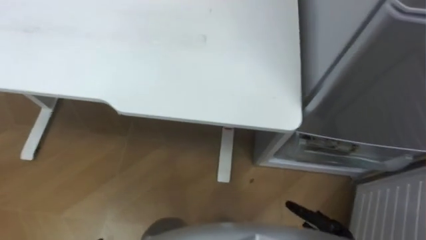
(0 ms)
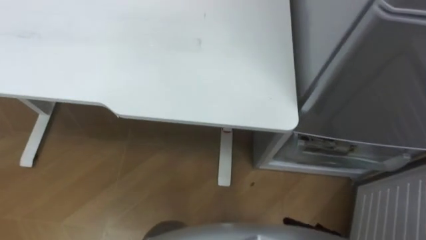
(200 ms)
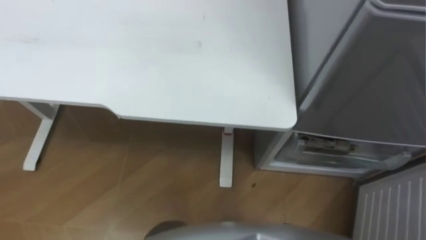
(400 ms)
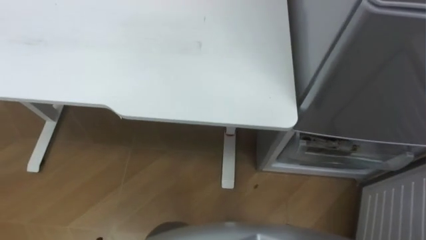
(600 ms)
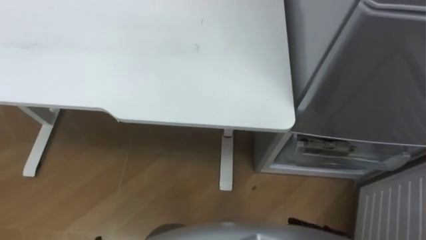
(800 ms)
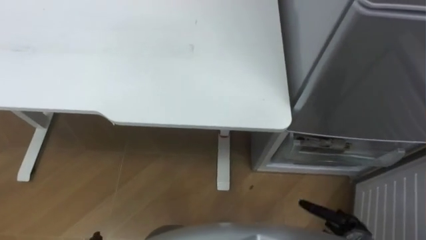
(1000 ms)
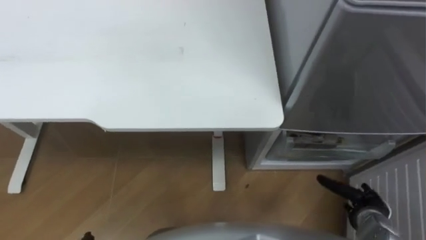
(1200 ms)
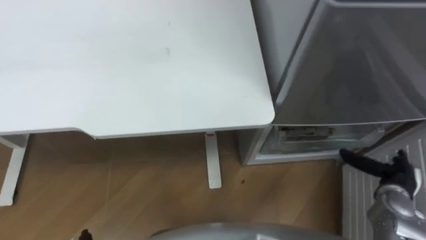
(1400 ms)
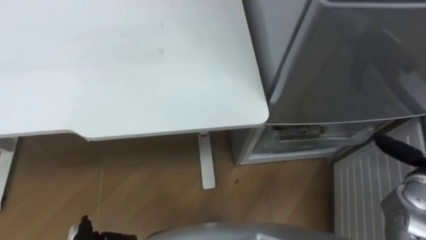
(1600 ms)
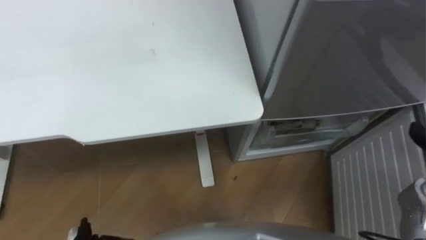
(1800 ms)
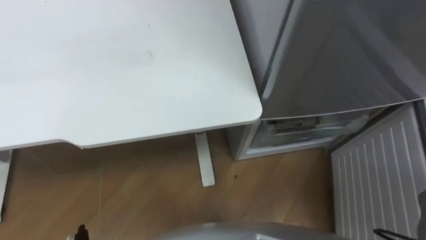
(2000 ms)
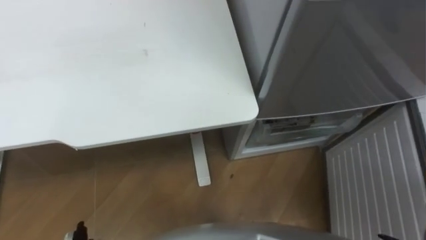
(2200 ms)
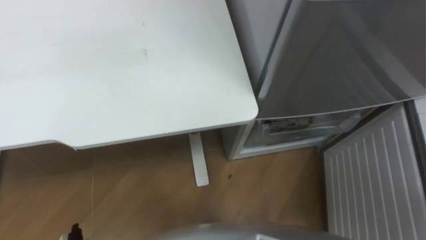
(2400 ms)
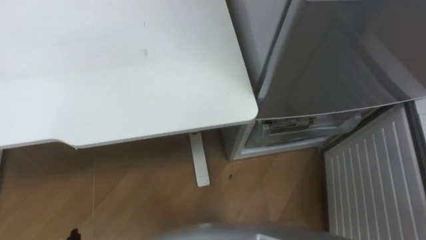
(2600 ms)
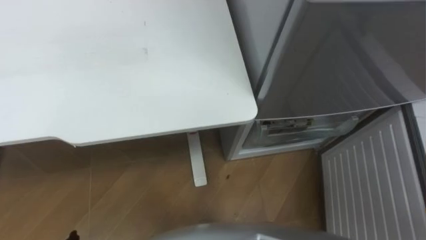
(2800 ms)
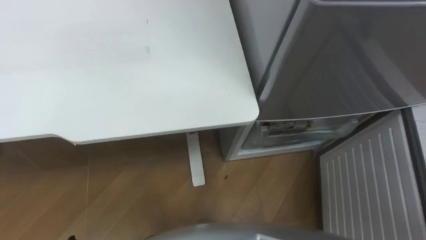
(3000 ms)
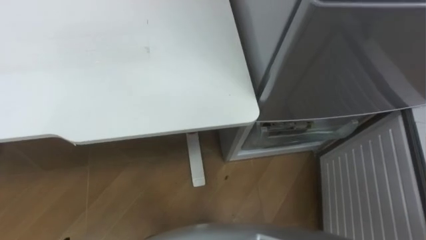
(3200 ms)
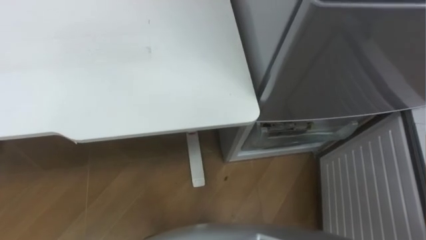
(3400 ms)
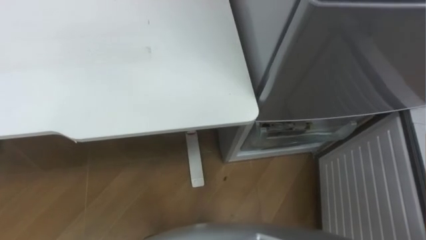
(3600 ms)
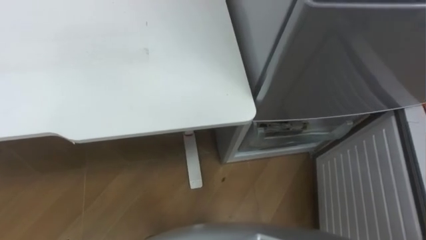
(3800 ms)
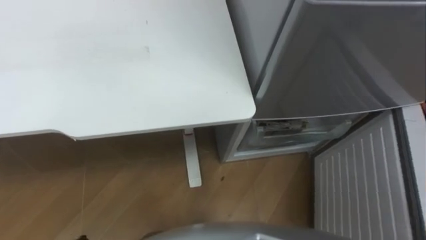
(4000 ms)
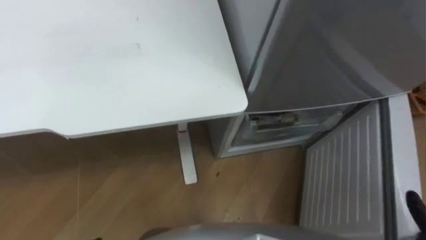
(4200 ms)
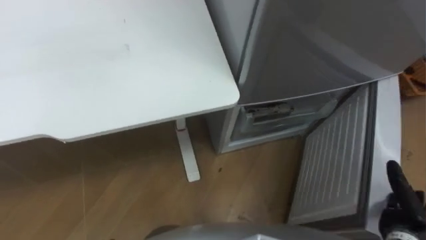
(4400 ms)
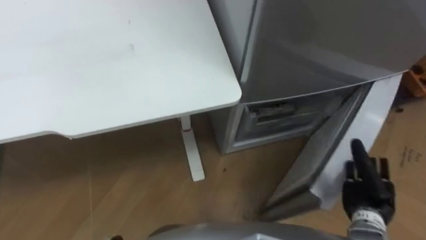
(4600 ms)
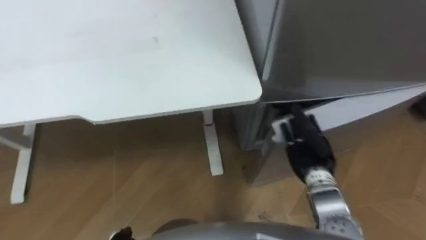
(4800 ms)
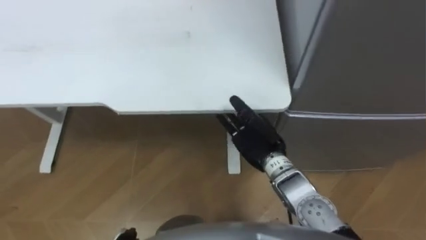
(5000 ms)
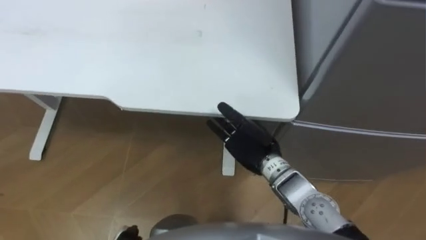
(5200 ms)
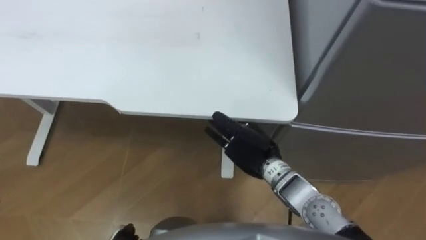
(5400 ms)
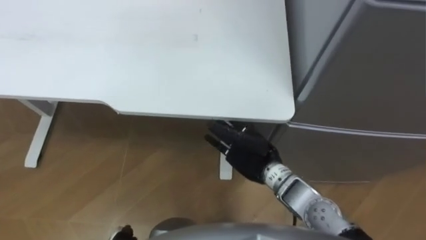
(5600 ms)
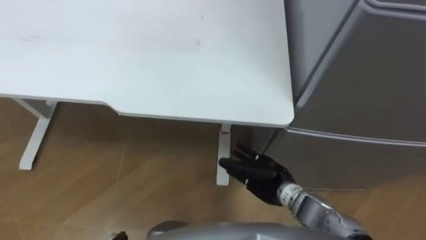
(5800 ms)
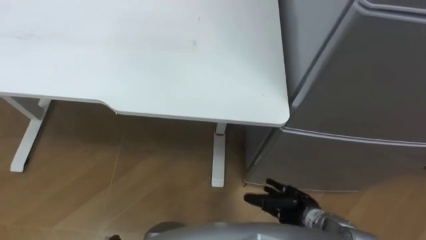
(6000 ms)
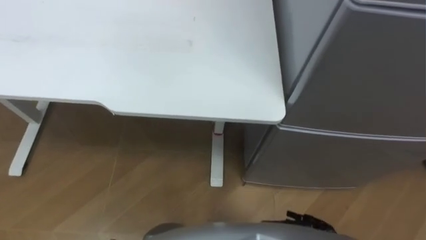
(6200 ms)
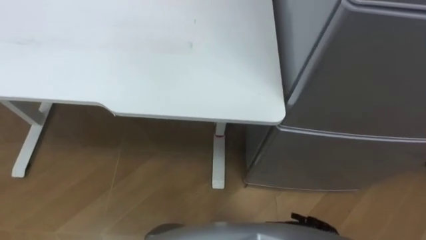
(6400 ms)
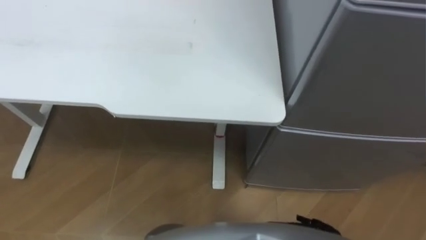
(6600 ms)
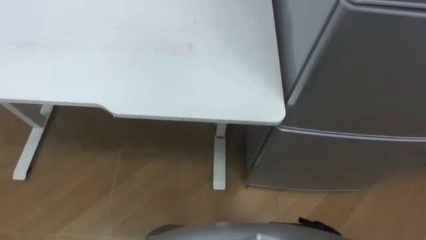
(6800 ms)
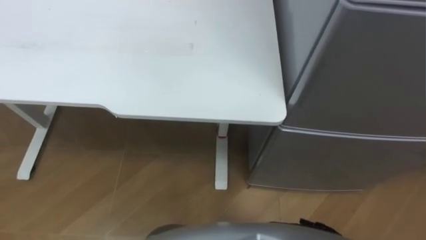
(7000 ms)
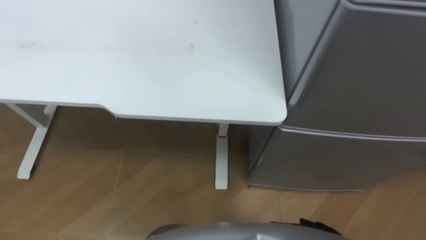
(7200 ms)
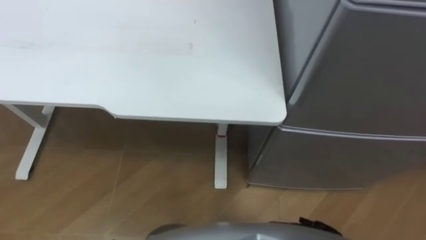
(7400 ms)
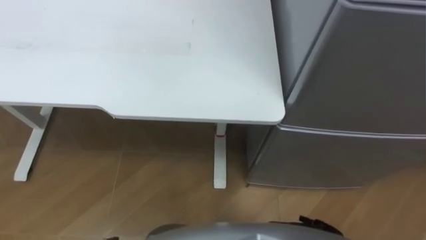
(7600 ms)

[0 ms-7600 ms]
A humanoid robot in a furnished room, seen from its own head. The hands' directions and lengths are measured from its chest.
Task of the whole recording: Place the drink on the table on the bottom shelf of the refrigerator, then close the drawer and the refrigerator door.
4600 ms to 6000 ms: The right hand goes roughly 15 cm to the left.

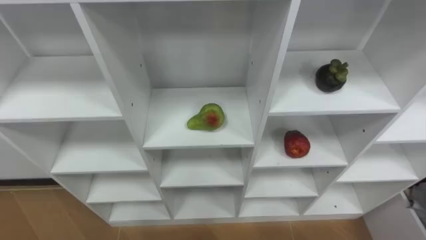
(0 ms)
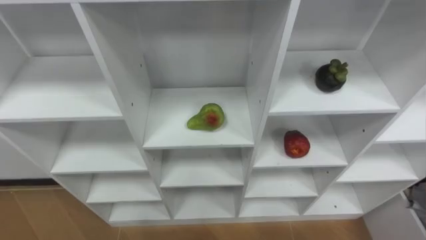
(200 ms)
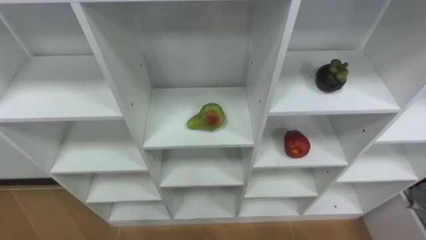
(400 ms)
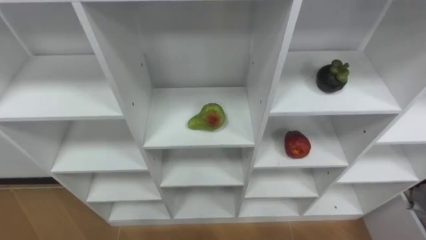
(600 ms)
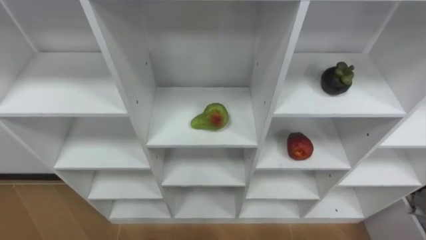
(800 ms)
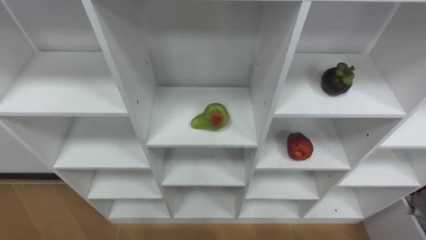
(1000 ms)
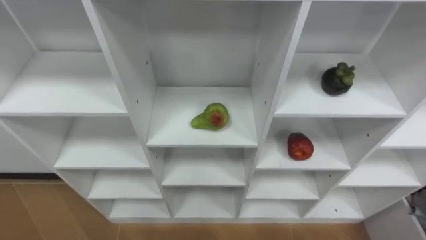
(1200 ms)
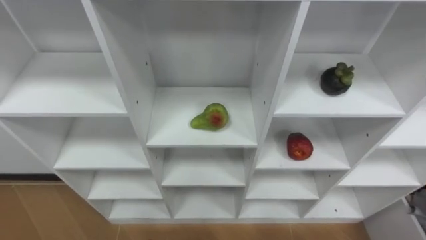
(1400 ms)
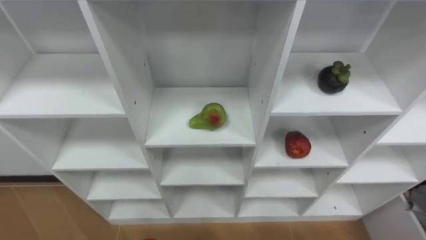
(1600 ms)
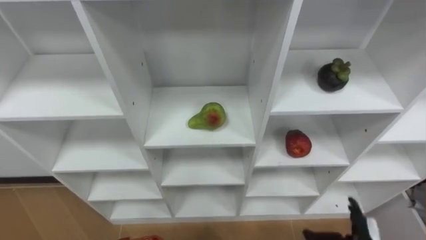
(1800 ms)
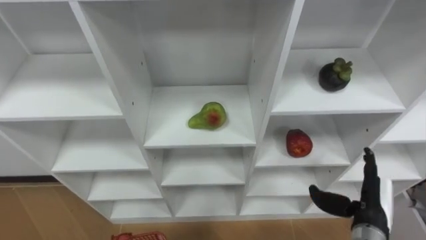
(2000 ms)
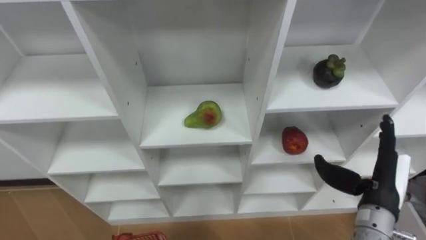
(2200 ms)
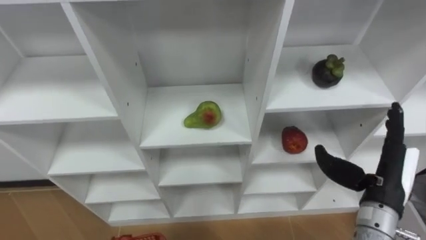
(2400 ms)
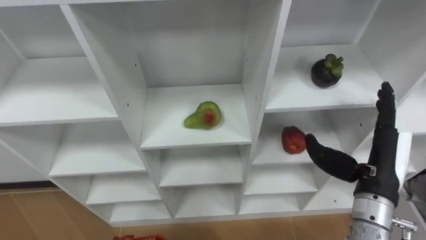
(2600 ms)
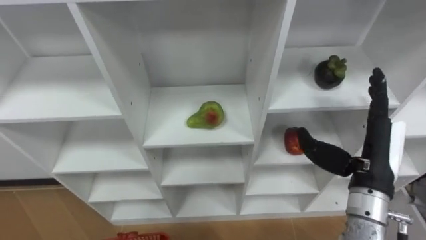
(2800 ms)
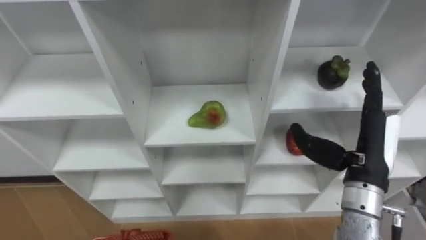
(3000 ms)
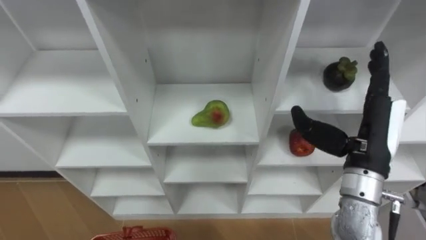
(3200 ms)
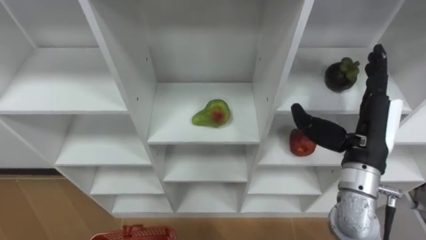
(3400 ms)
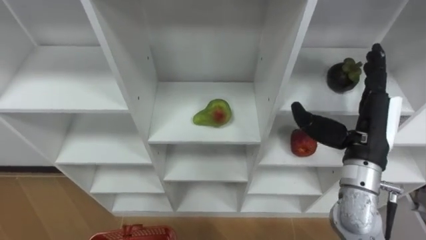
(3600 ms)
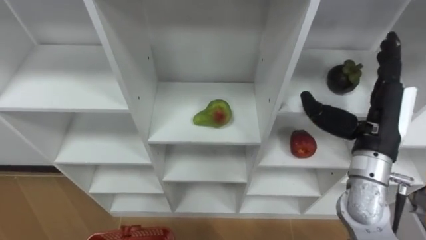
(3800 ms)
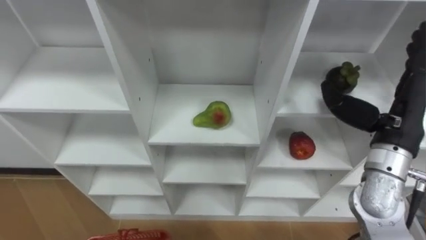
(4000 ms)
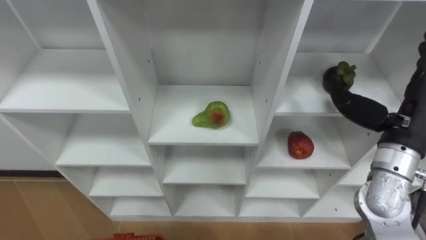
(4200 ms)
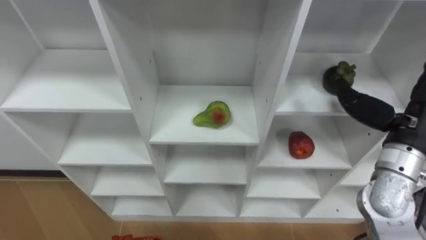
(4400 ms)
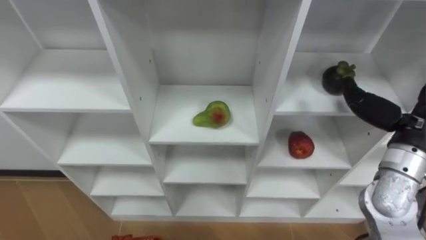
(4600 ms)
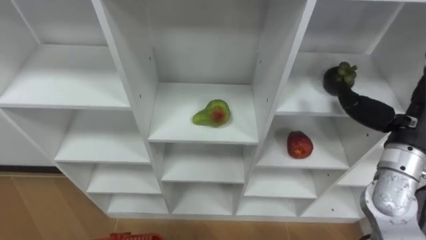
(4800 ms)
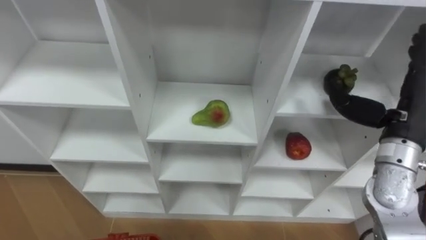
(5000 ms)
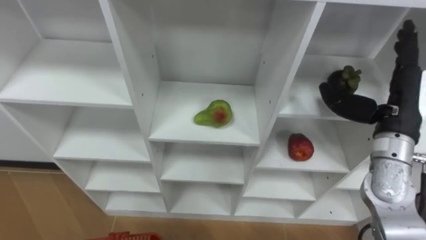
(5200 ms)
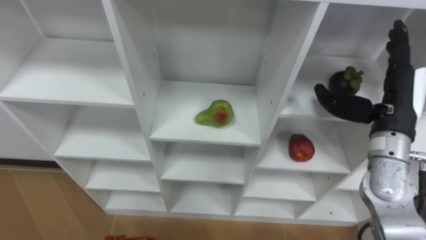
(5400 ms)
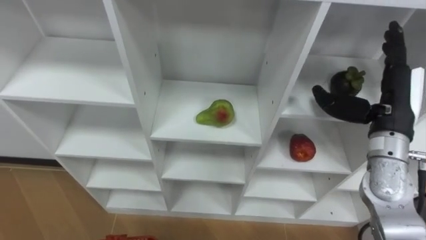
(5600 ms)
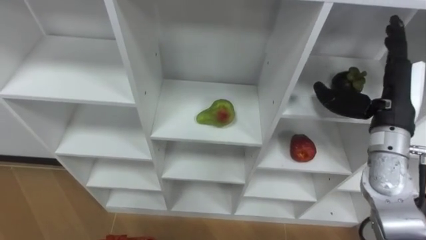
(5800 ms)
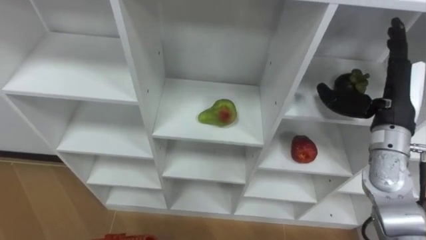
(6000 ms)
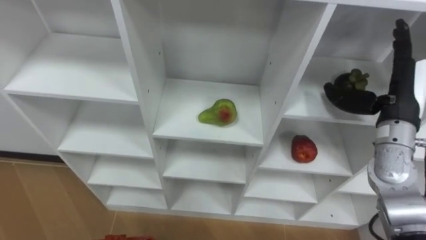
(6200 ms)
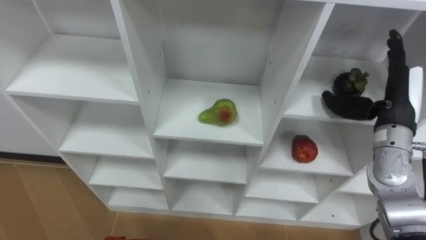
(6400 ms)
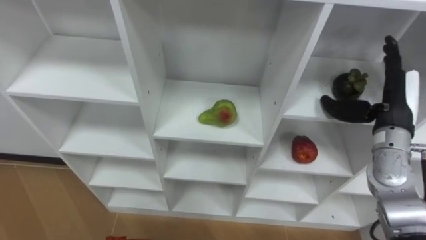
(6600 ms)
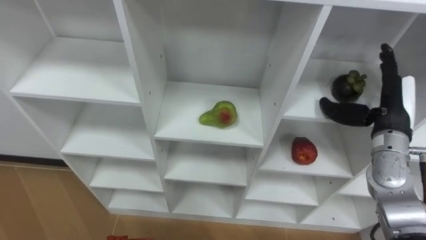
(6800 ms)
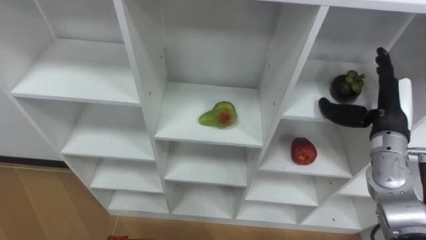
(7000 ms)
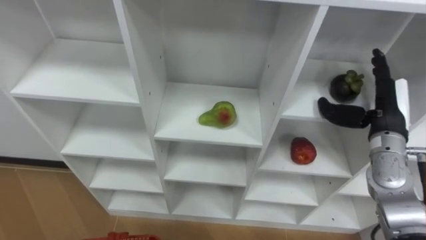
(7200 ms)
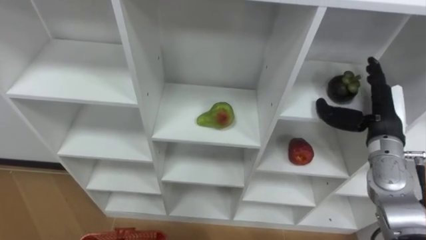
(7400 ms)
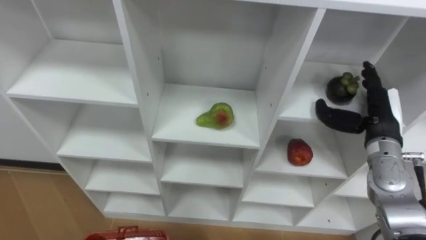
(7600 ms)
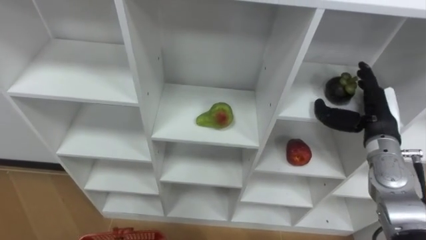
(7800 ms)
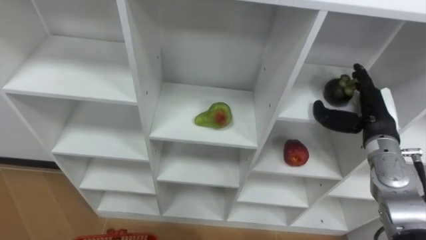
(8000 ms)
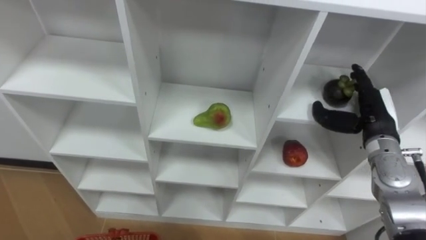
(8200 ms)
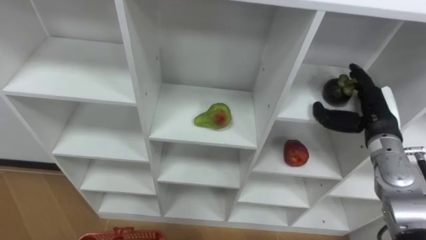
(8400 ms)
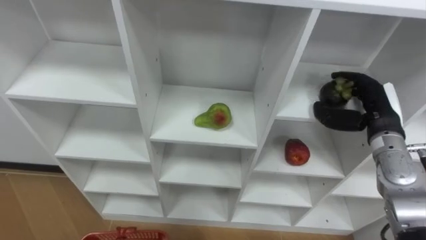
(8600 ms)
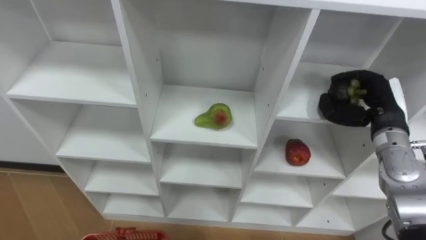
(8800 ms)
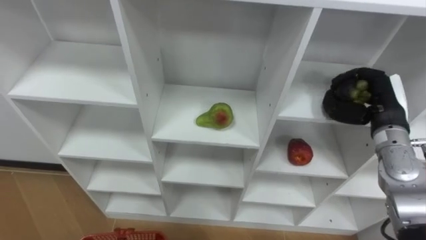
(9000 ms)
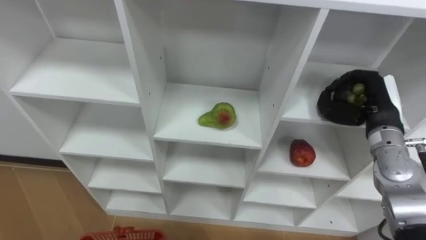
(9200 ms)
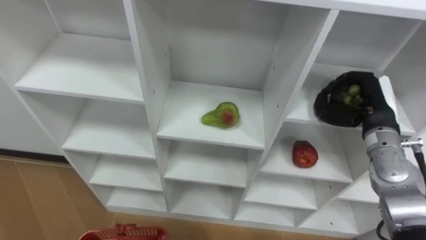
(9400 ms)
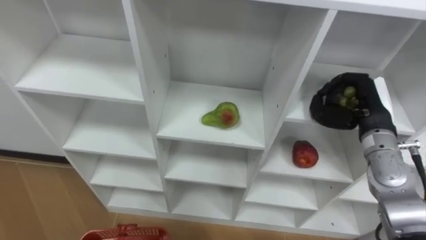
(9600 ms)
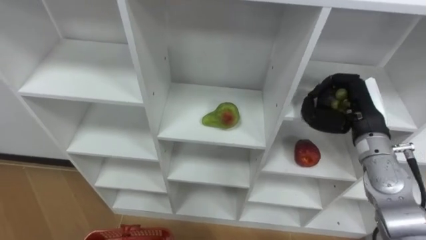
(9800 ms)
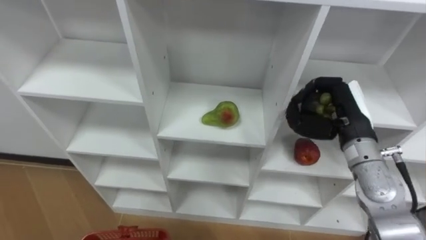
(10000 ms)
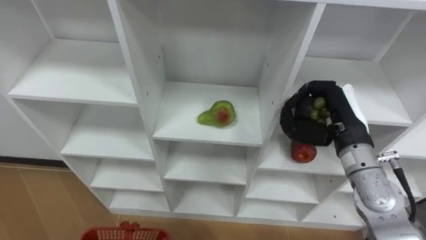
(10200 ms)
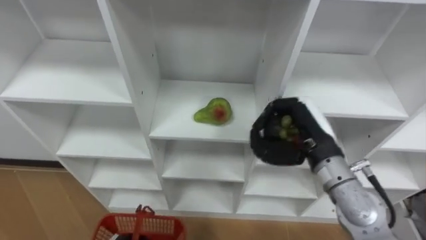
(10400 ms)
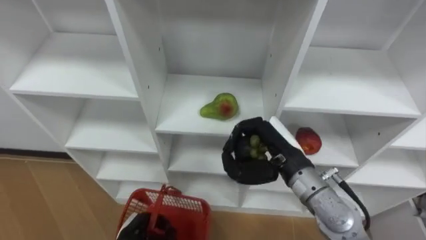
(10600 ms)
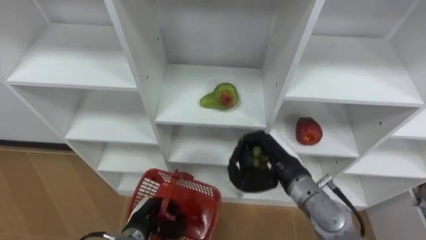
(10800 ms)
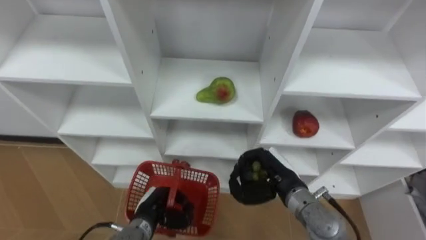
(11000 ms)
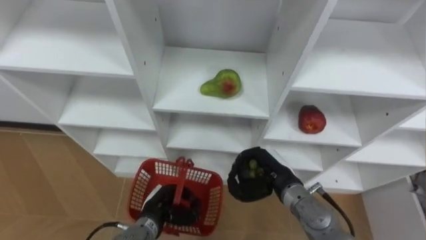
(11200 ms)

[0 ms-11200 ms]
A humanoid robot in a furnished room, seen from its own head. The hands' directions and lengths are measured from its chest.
Task of the whole recording: Hold the basket and collect the fruits from 3 different cells of the closet into it.
3200 ms to 4800 ms: The right hand shifts about 5 cm to the right.
4800 ms to 6400 ms: The right hand goes approximately 5 cm forward.
6400 ms to 8000 ms: The right hand travels downward by approximately 5 cm.
8000 ms to 9600 ms: The right hand closes up.
9600 ms to 11200 ms: The right hand goes roughly 20 cm to the left, downward and backward.
